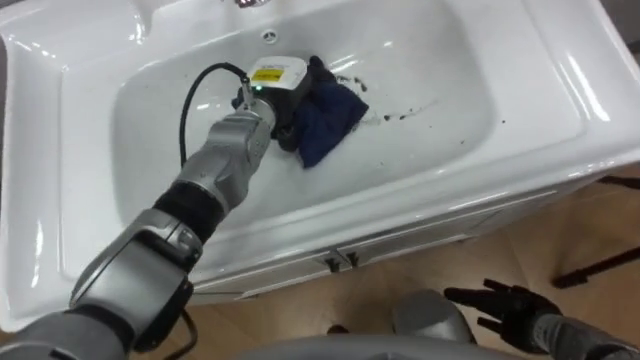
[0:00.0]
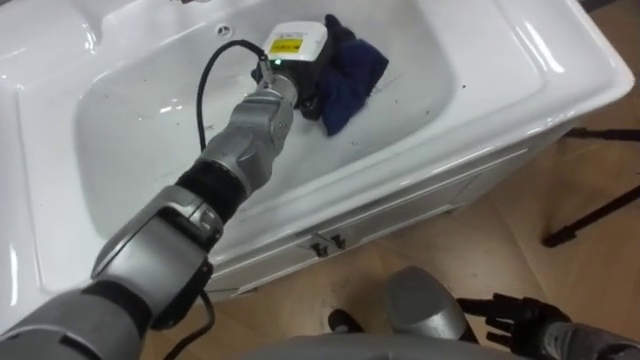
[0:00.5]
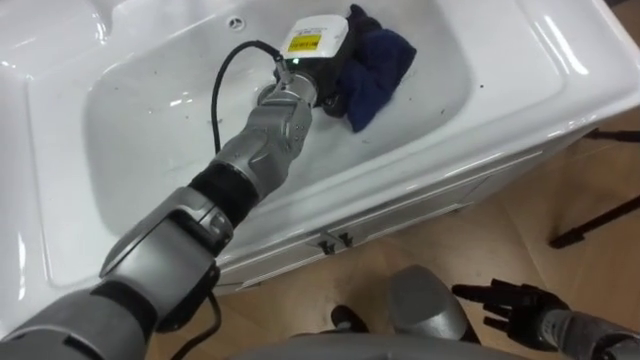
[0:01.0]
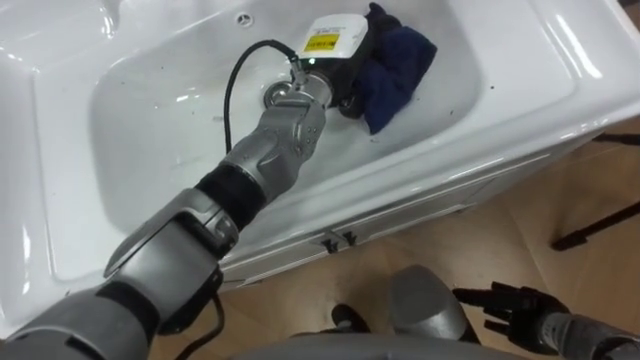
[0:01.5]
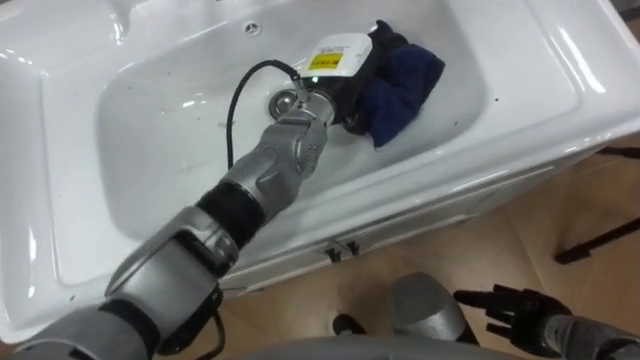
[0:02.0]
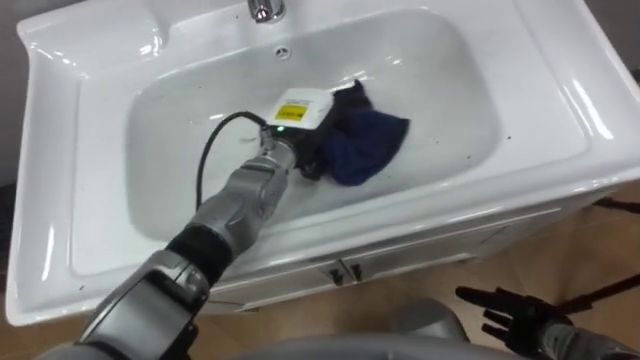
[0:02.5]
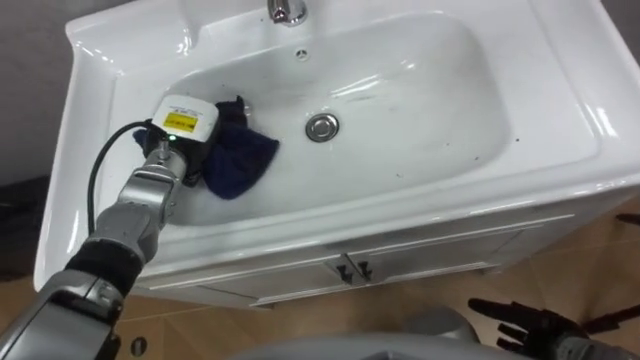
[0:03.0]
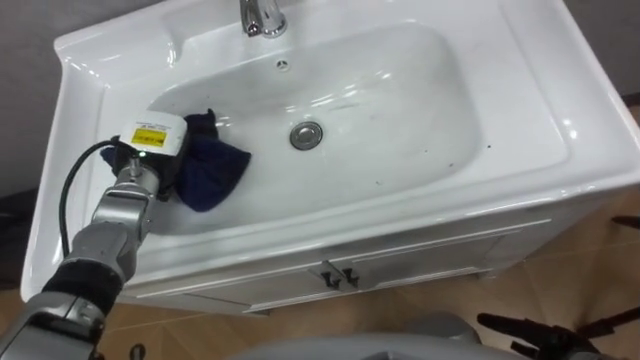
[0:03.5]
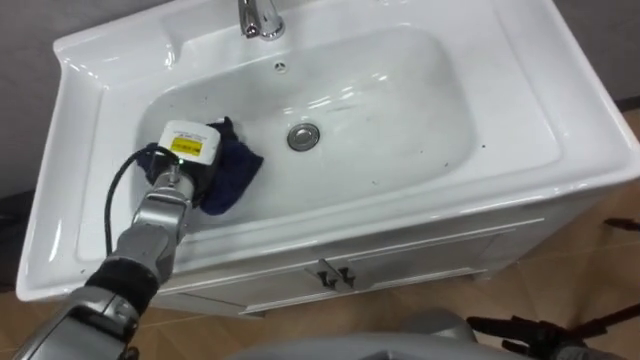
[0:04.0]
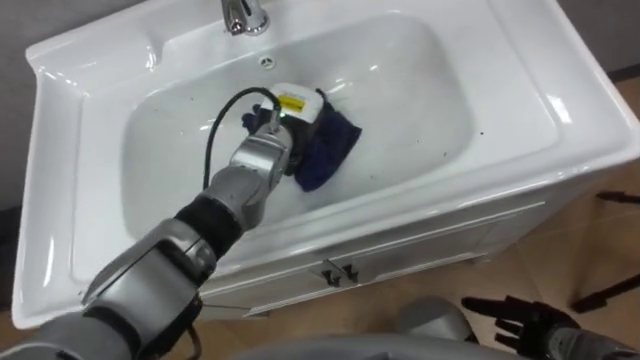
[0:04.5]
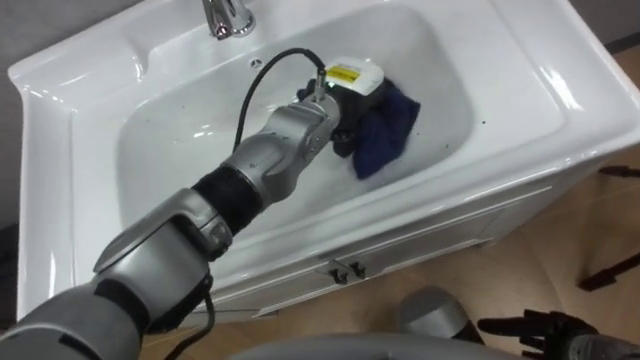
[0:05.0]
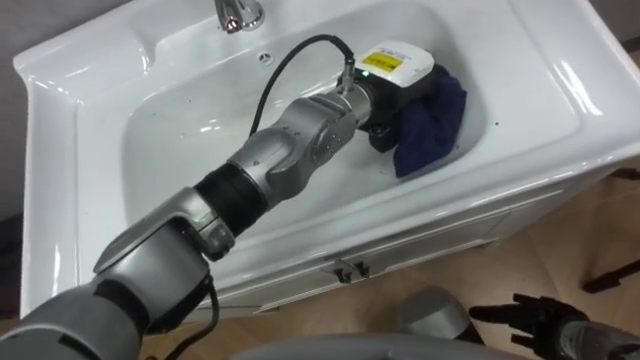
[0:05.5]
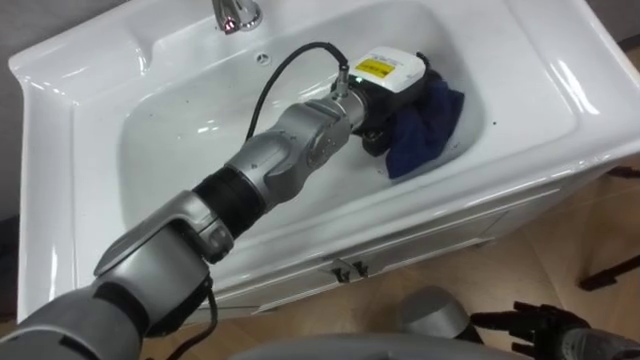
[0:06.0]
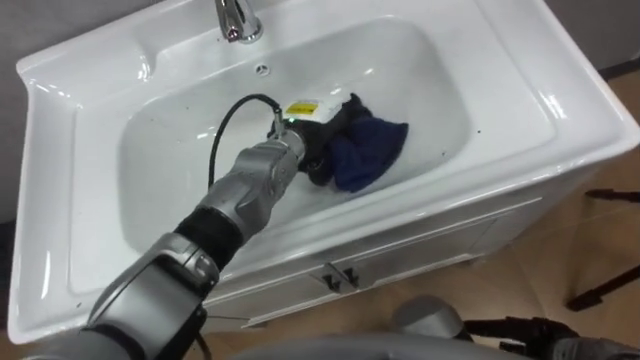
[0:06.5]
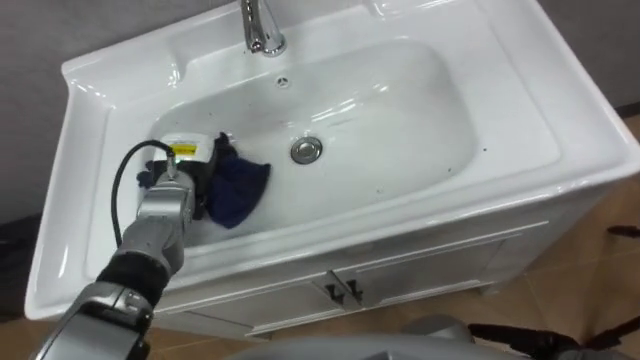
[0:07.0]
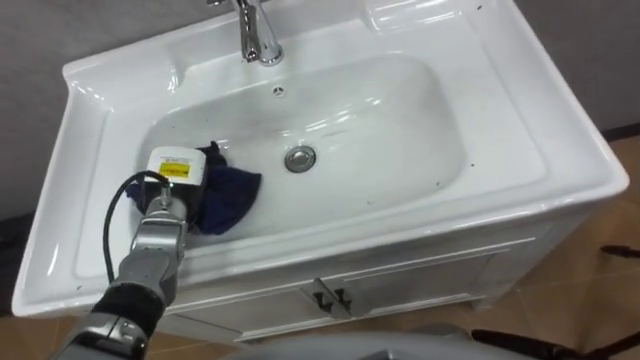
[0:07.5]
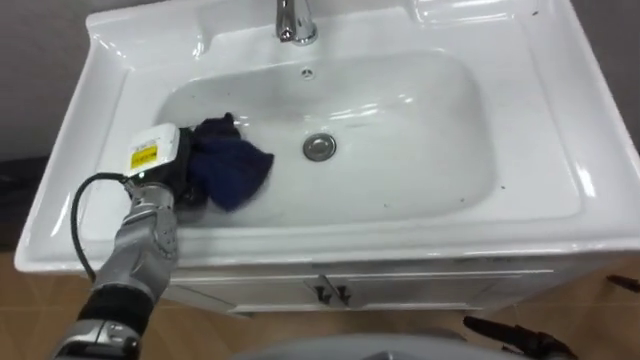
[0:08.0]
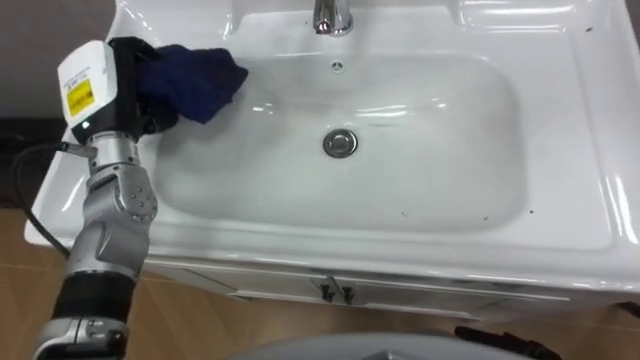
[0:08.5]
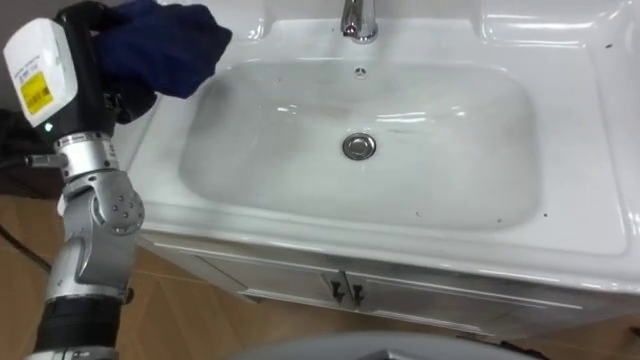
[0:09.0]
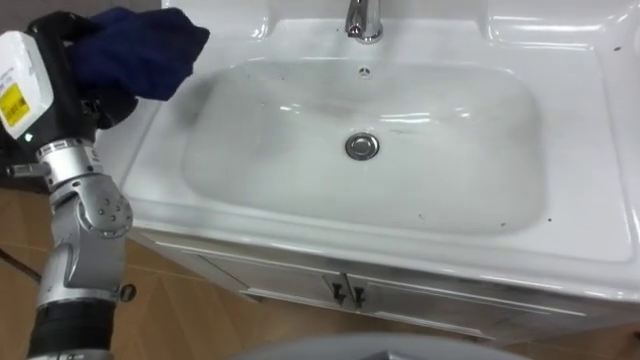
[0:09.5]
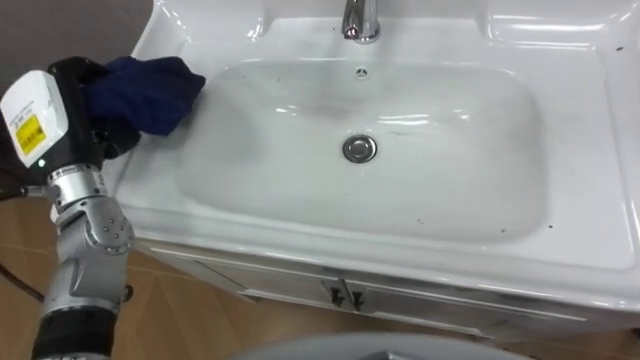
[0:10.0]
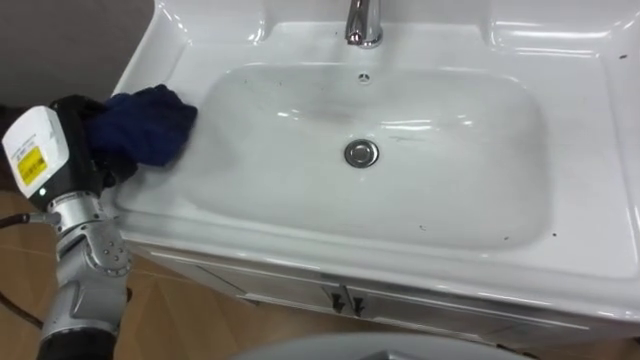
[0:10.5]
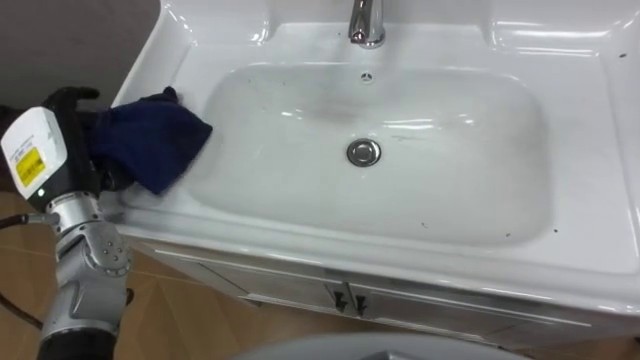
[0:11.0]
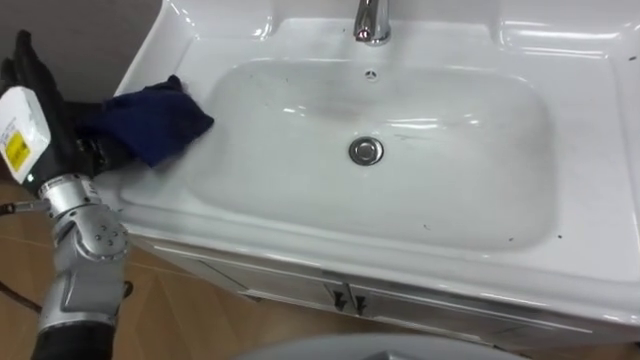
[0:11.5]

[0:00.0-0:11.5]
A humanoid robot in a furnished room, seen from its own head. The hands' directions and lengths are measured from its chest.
Task of the whole recording: Use the cloth on the right to wipe away the black stain in the sink.
0:00.0 to 0:02.0: The left hand heads to the right, covering about 10 cm.
0:02.0 to 0:04.0: The left hand heads to the left and downward, covering about 25 cm.
0:04.0 to 0:06.0: The left hand goes approximately 30 cm to the right and upward.
0:06.0 to 0:07.5: The left hand travels to the left and downward by roughly 30 cm.
0:07.5 to 0:09.5: The left hand moves upward, approximately 20 cm.
0:09.5 to 0:11.5: The left hand moves roughly 5 cm, and opens.

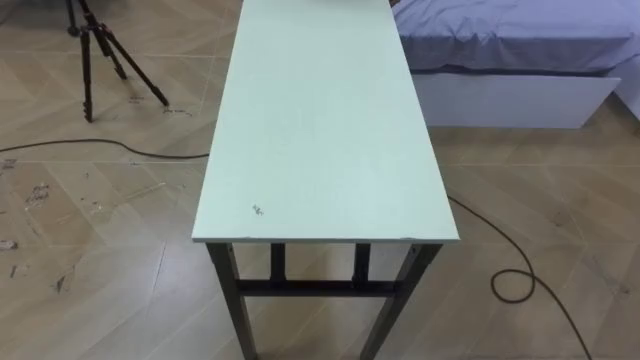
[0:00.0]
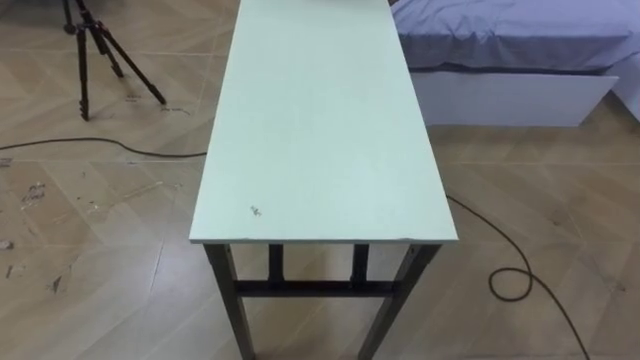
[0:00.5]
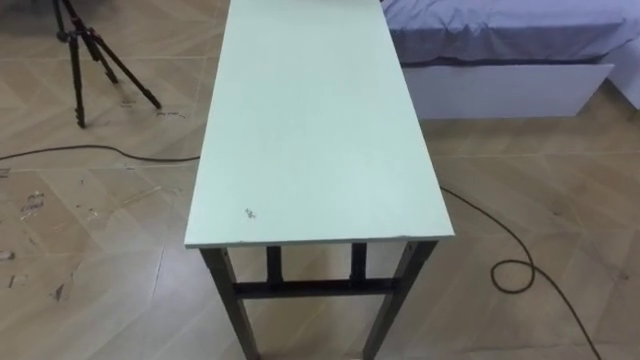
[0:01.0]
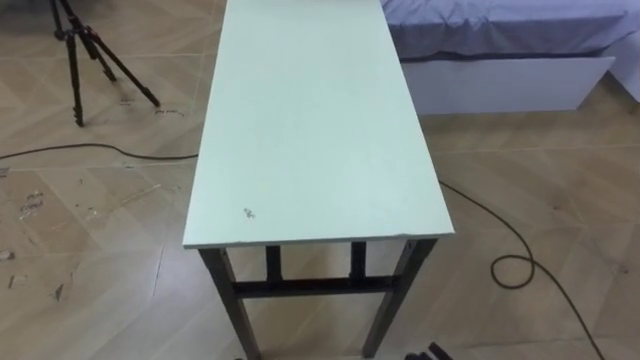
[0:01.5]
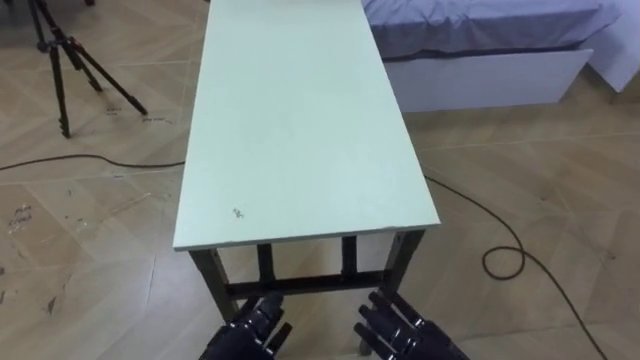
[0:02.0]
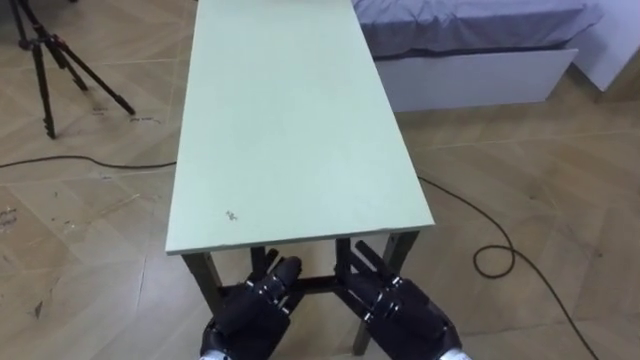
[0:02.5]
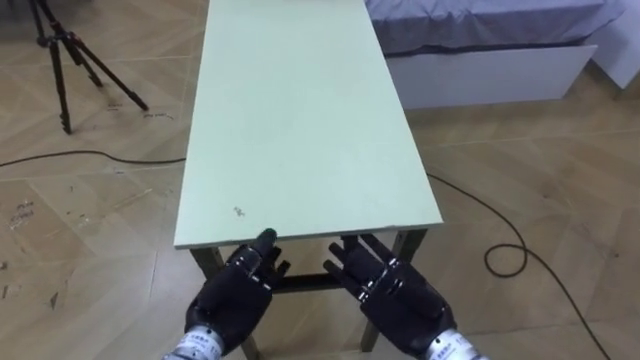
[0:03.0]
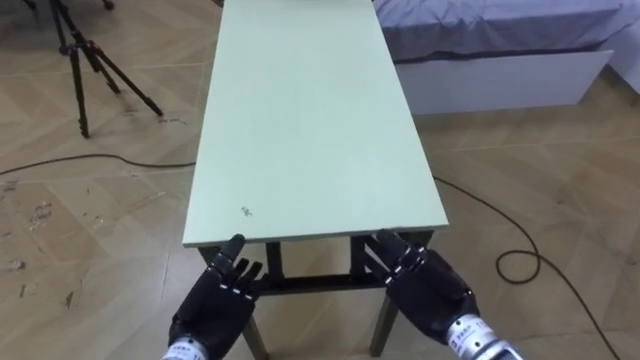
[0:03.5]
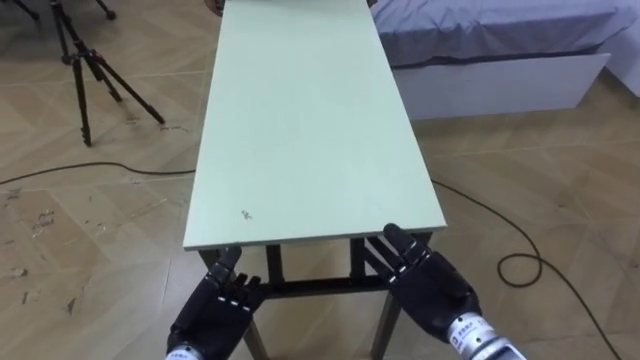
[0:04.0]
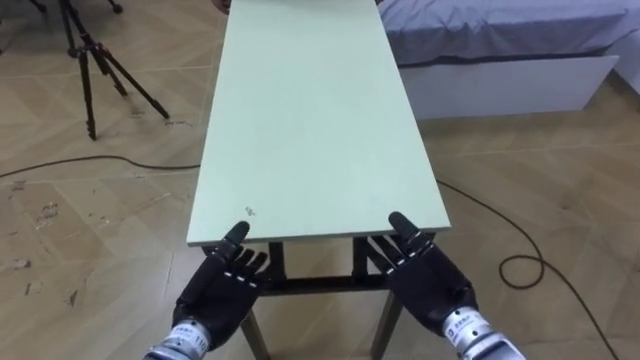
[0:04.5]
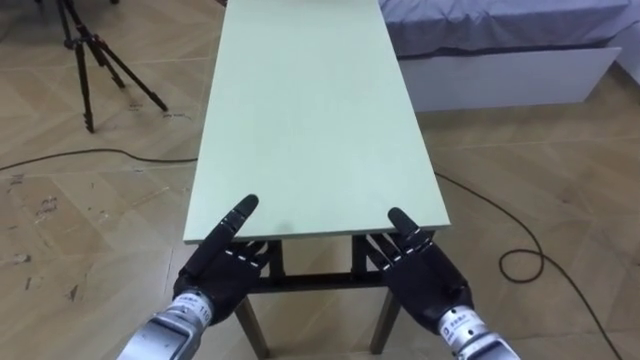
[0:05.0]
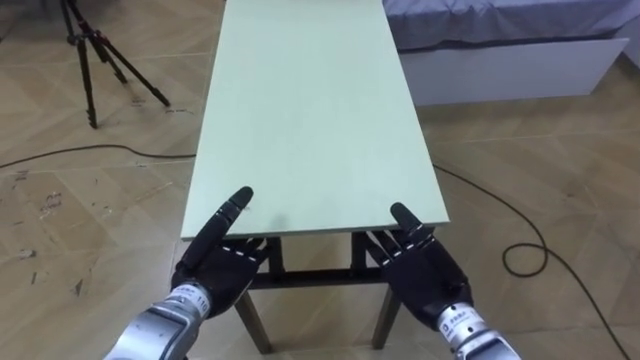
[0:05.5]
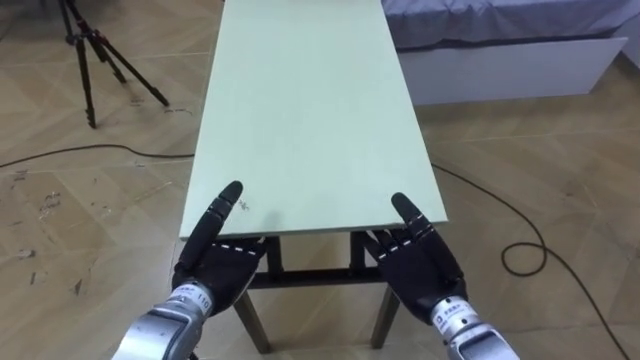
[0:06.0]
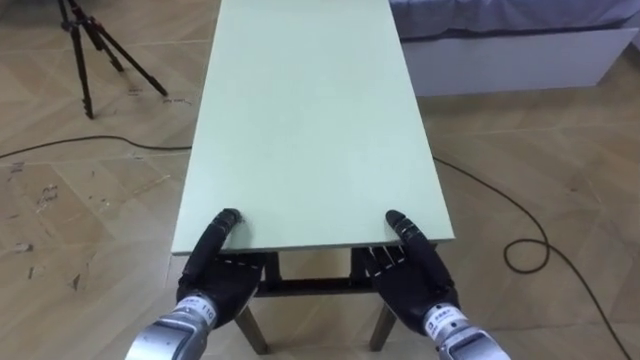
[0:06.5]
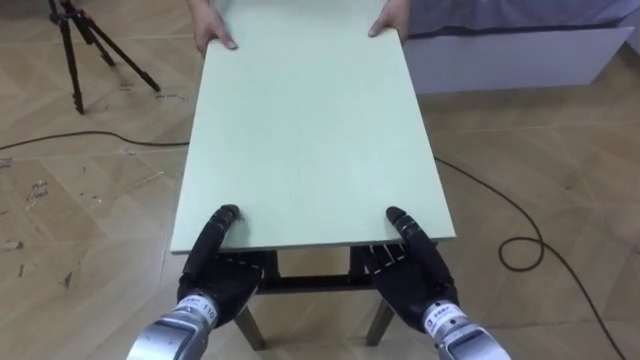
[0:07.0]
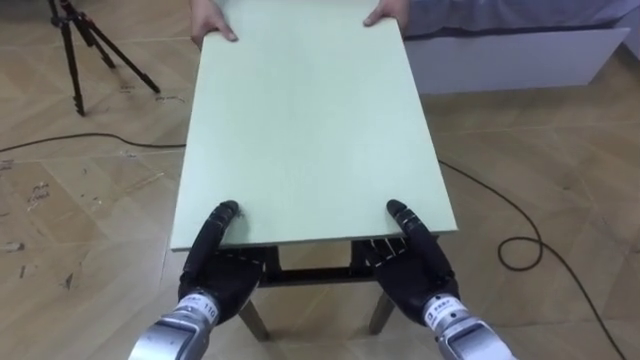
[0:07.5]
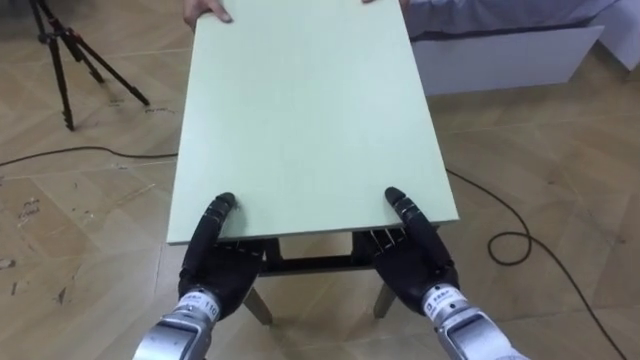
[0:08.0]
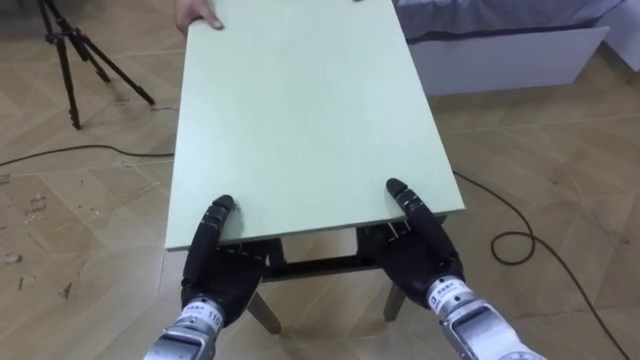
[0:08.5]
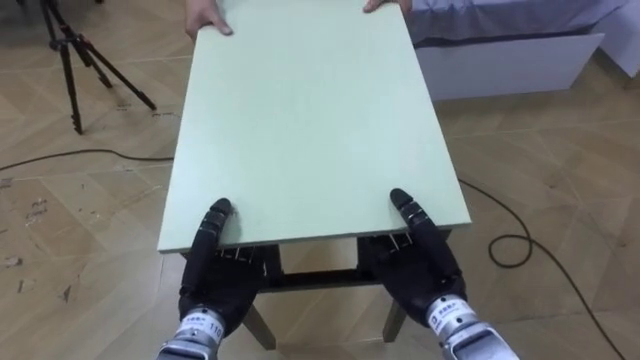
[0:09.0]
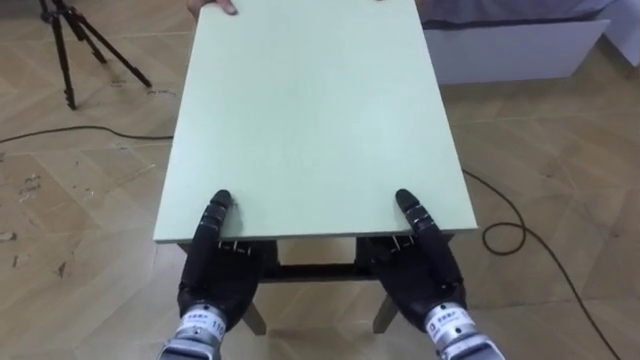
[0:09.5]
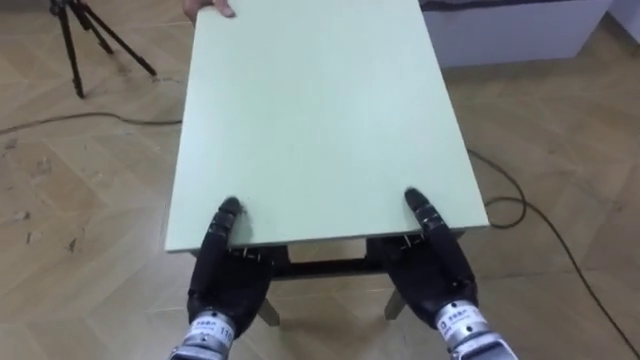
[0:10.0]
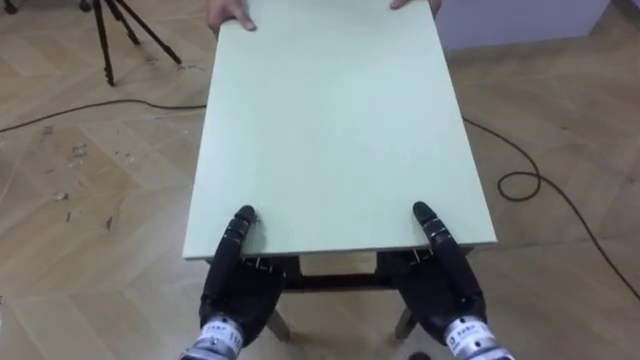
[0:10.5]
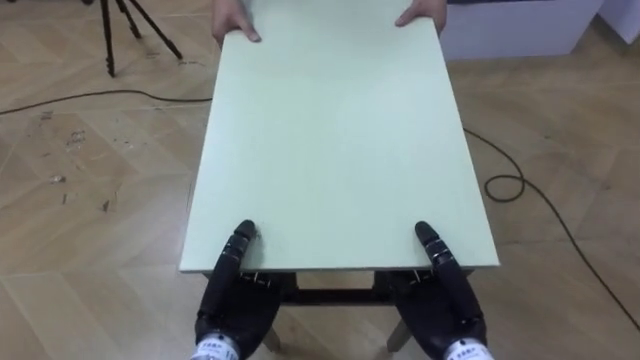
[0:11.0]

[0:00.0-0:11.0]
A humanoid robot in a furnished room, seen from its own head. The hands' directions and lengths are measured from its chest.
Task of the whole recording: Move the table to the back left with someone.
0:02.0 to 0:03.5: Both hands travel together forward, approximately 5 cm.
0:03.5 to 0:05.5: The left hand heads upward, covering roughly 5 cm.
0:05.5 to 0:07.5: The right hand closes up. Meanwhile the left hand closes up.
